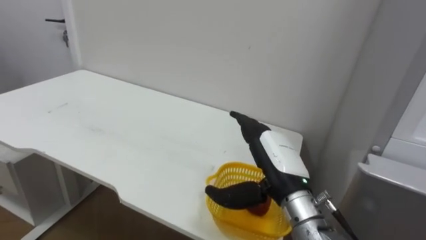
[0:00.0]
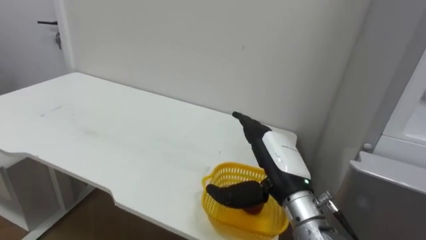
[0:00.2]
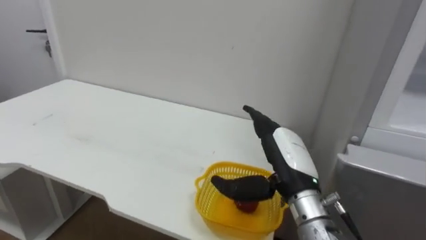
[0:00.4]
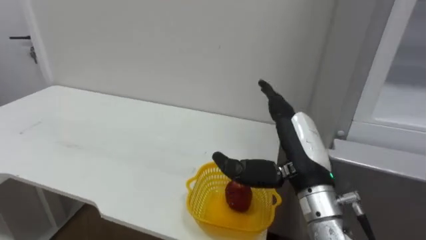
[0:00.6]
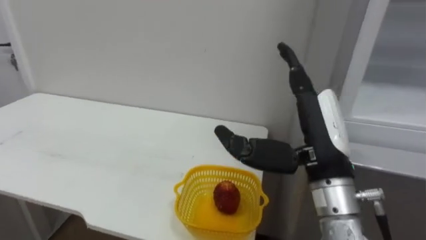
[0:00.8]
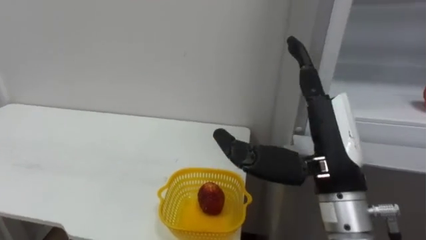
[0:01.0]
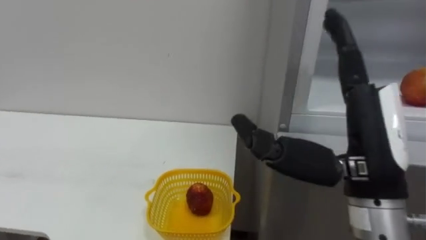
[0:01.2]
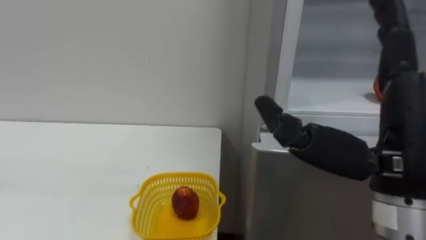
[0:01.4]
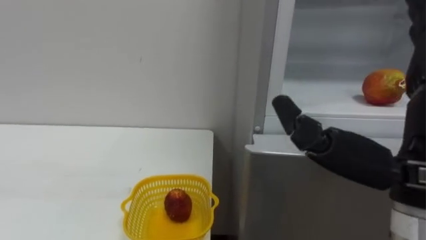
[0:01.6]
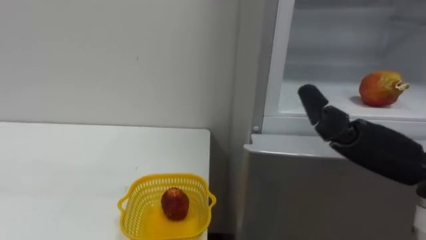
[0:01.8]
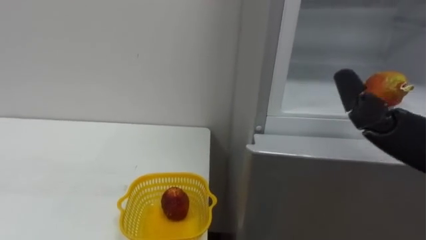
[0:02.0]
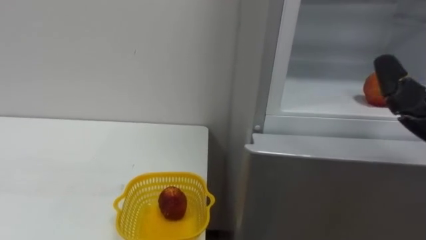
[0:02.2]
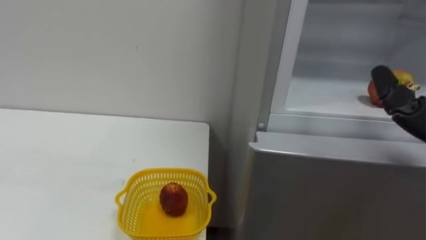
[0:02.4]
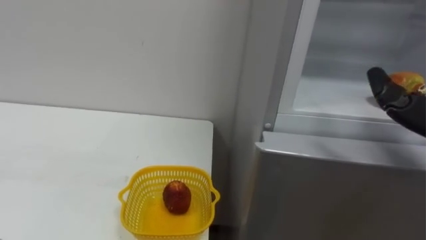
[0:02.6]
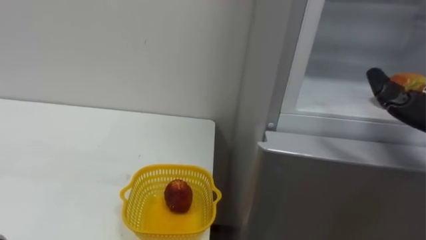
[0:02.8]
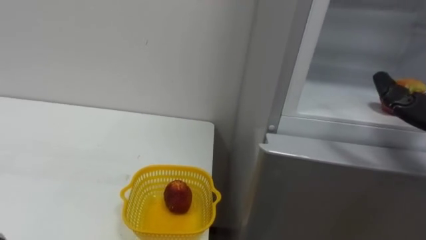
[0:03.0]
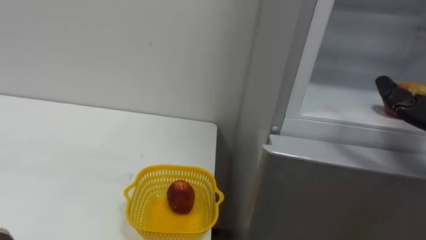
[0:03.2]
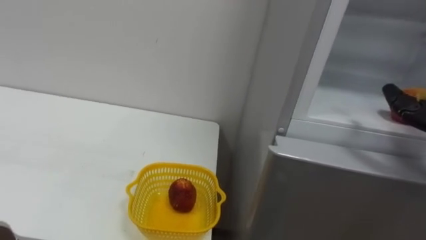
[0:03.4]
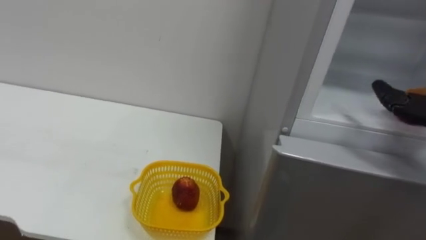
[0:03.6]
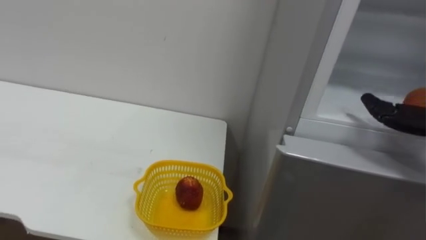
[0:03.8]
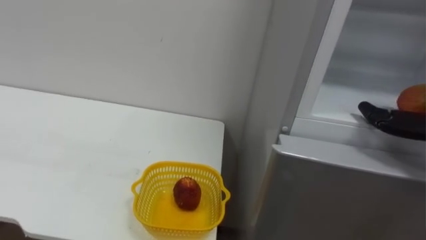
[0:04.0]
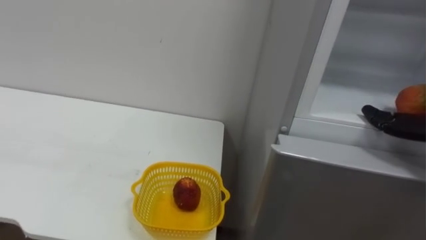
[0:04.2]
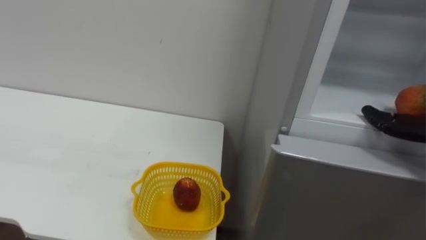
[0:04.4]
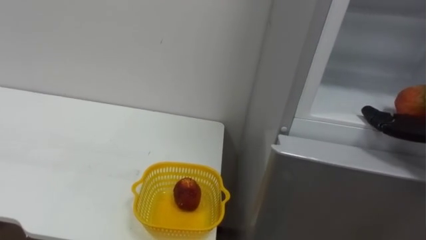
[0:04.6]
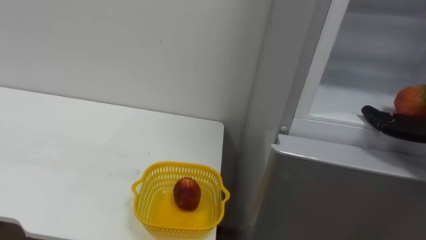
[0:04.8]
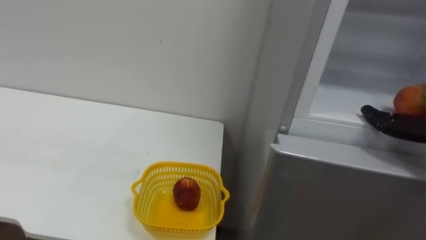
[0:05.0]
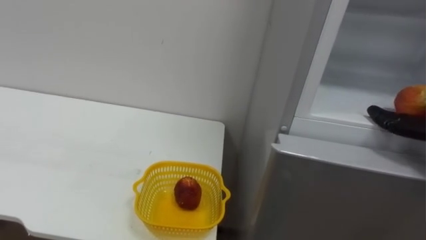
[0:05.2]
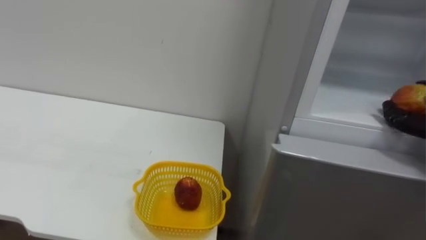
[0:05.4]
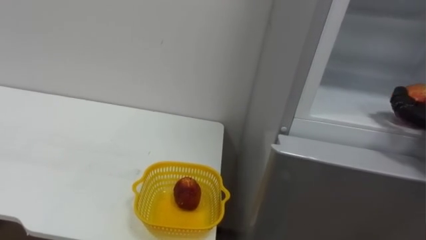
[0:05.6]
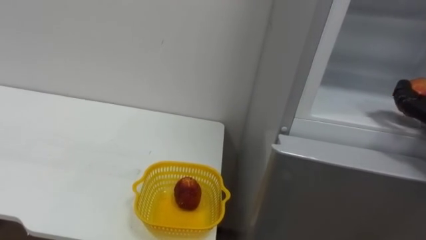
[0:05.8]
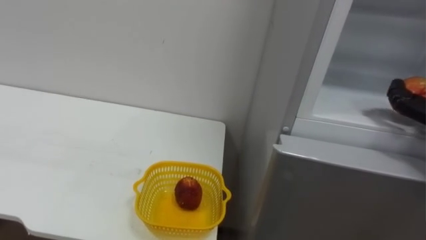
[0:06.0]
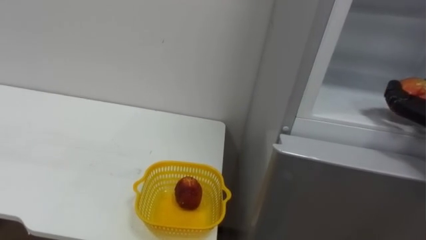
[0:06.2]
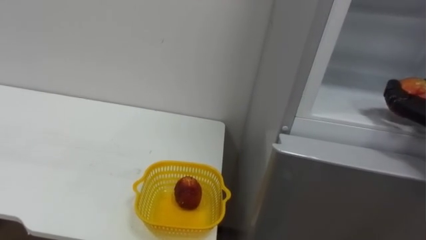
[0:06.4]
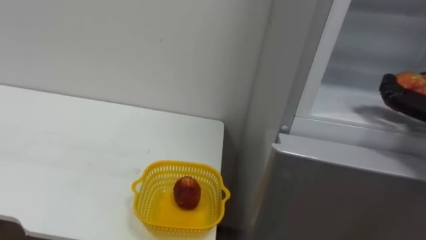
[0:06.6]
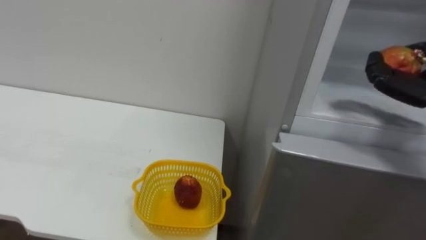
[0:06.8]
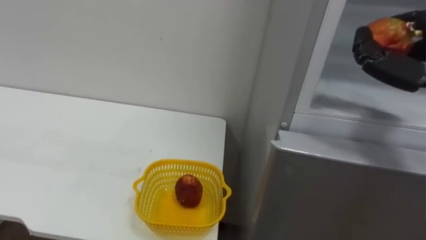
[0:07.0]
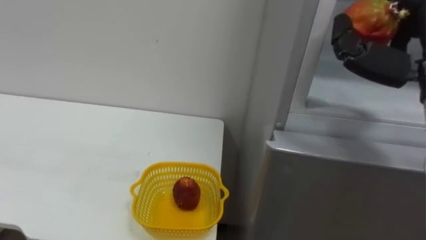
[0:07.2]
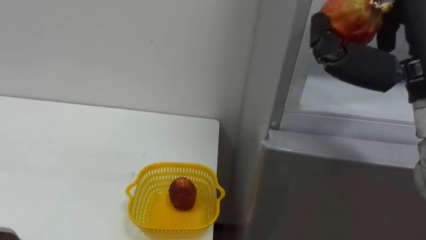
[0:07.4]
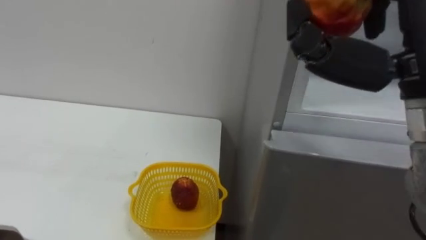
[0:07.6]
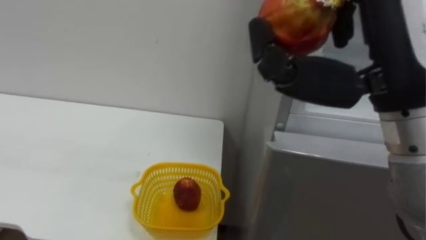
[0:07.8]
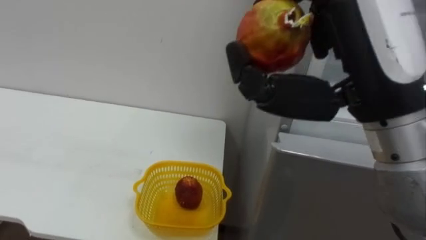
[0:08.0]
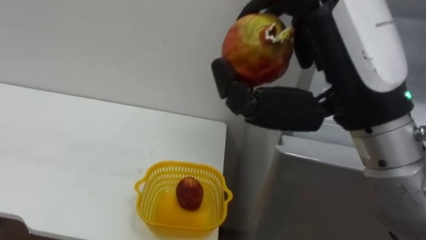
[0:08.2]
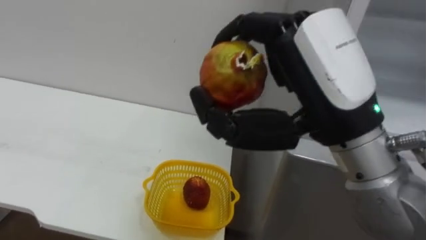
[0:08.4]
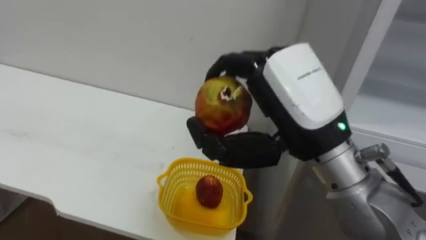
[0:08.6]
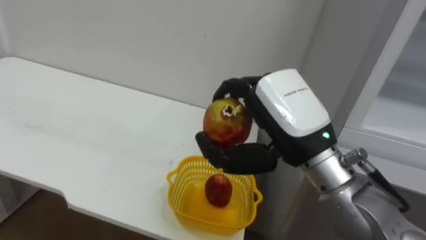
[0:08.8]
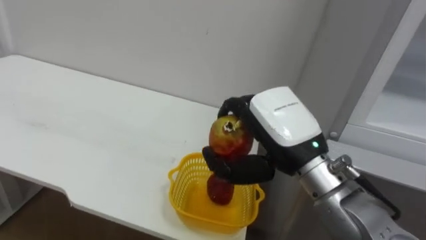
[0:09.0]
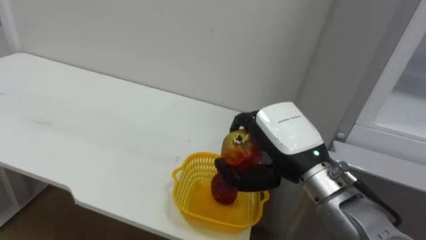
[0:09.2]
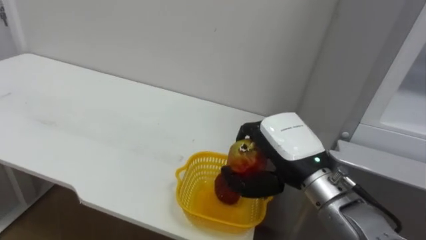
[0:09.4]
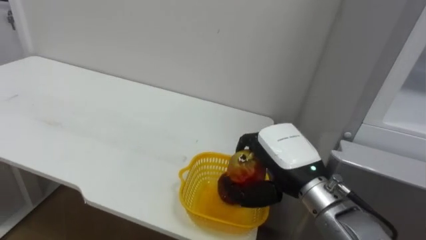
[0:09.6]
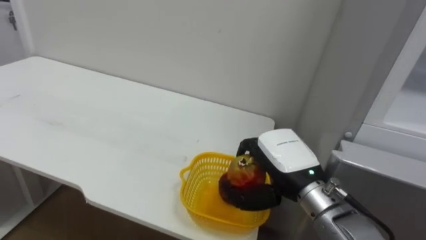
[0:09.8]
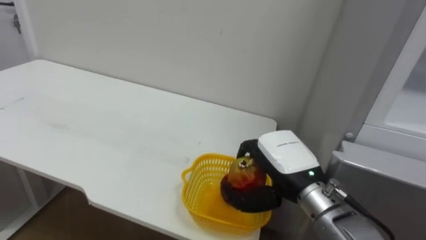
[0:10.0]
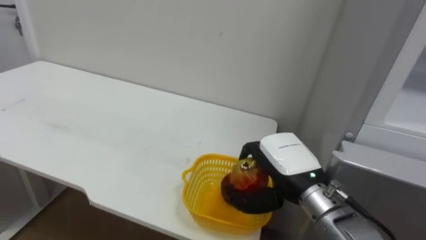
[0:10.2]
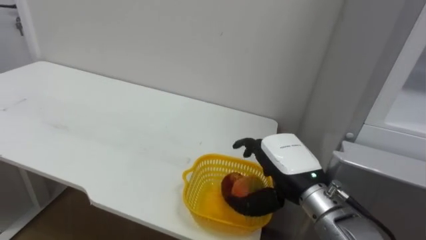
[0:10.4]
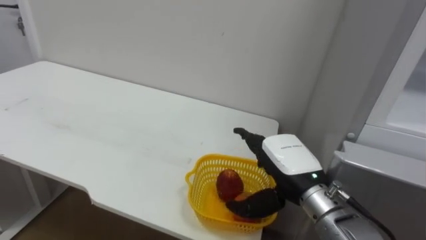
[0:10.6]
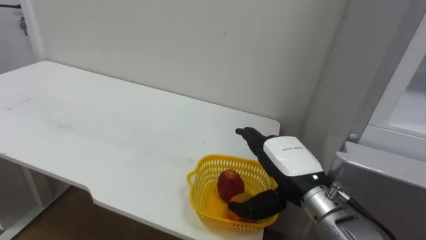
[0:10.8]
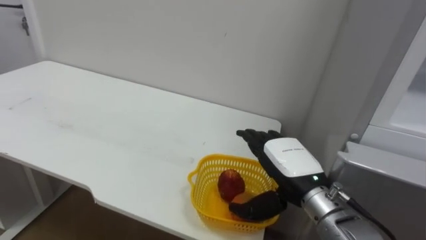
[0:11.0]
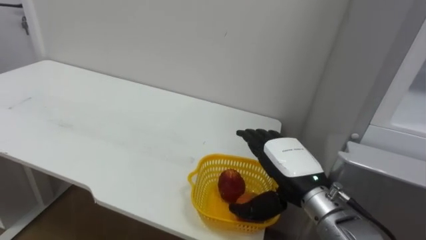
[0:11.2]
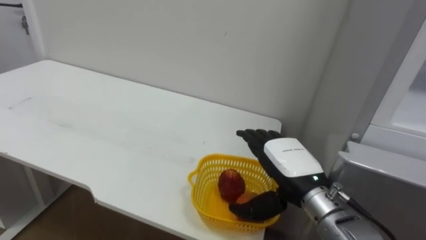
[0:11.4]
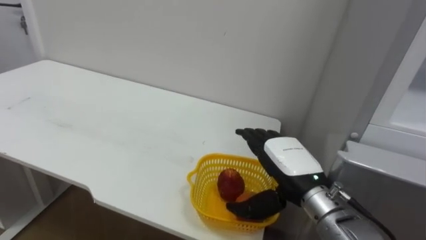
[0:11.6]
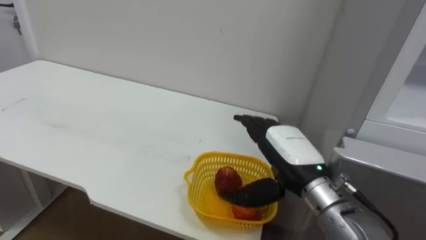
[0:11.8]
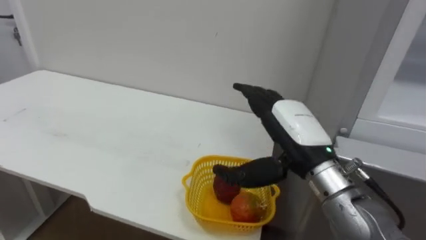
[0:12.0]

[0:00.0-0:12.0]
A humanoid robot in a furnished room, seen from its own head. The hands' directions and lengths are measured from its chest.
Task of the whole recording: Open the refrigerator door, take out the apple and the pomegranate, place them in the fruit basket on the left, and close the refrigerator door.
0:00.0 to 0:01.6: The right hand travels upward, backward and to the right by approximately 20 cm.
0:07.6 to 0:09.0: The right hand is displaced downward, to the left and forward by about 20 cm.
0:09.0 to 0:10.4: The right hand heads downward, covering approximately 10 cm.
0:10.4 to 0:12.0: The right hand moves upward, approximately 5 cm, and opens up.

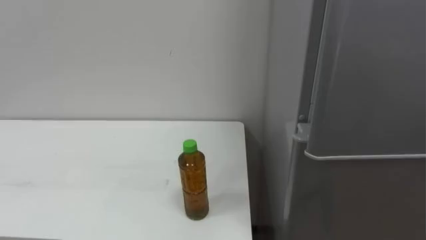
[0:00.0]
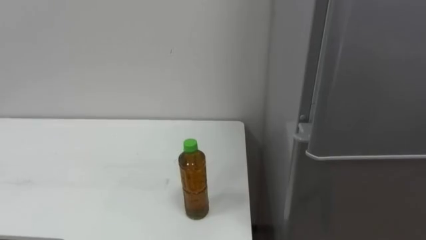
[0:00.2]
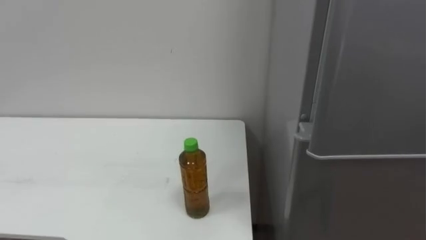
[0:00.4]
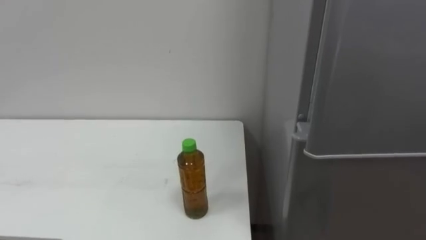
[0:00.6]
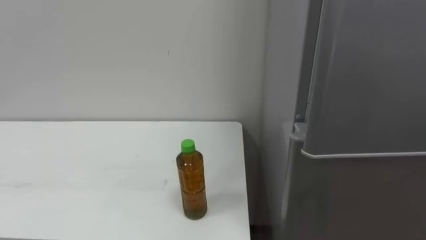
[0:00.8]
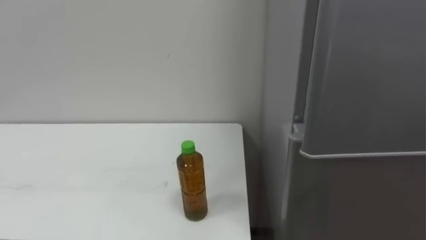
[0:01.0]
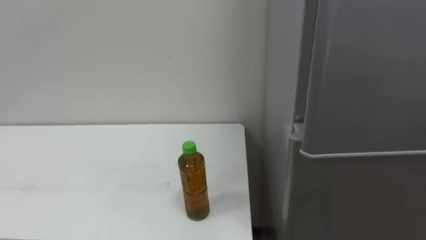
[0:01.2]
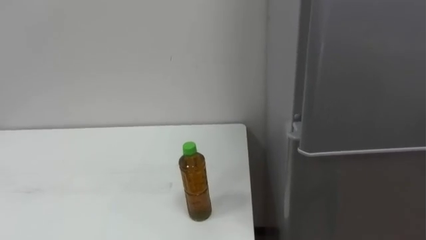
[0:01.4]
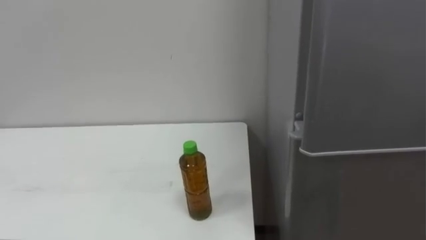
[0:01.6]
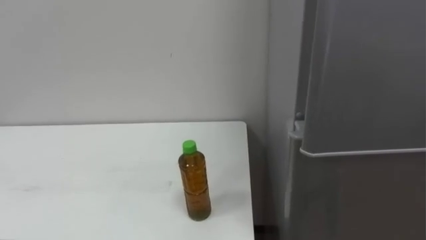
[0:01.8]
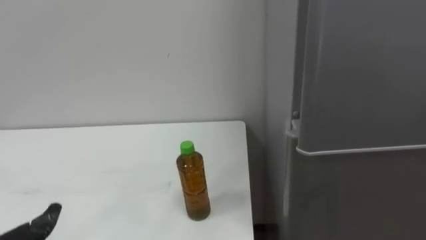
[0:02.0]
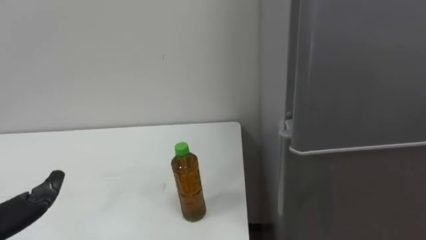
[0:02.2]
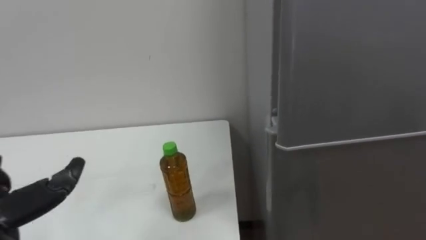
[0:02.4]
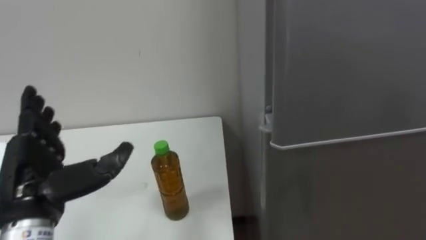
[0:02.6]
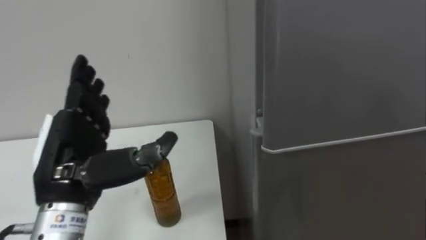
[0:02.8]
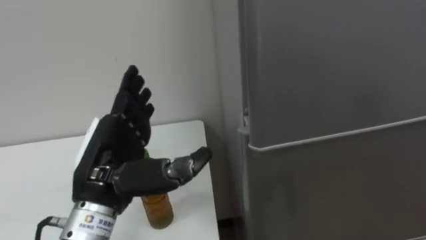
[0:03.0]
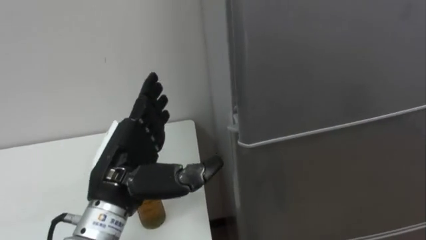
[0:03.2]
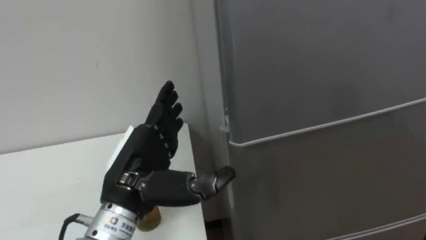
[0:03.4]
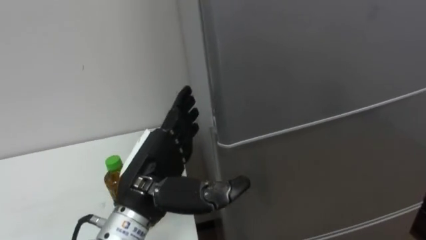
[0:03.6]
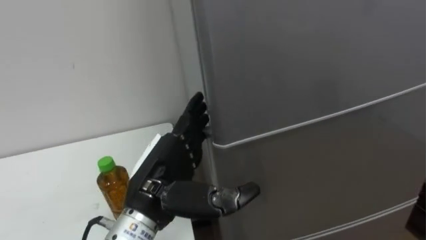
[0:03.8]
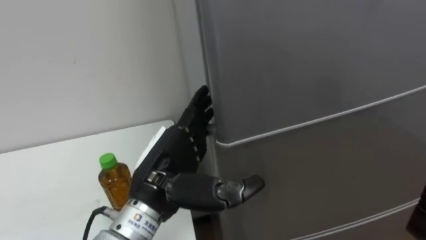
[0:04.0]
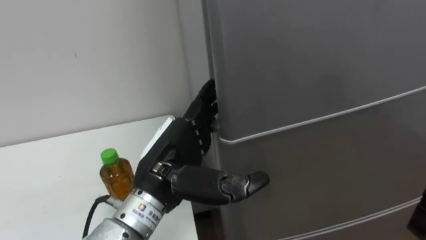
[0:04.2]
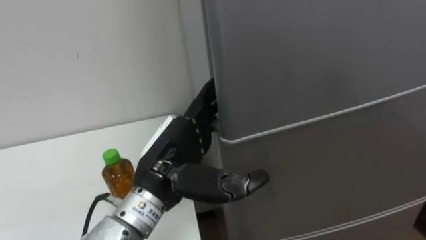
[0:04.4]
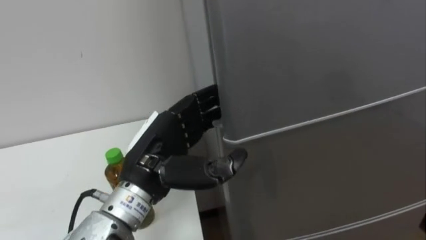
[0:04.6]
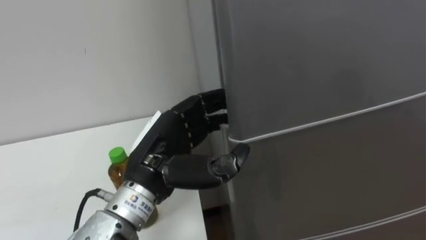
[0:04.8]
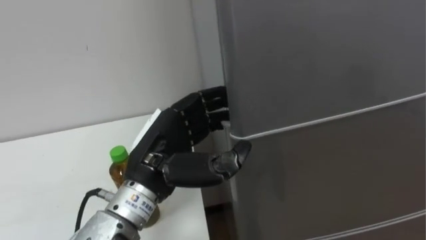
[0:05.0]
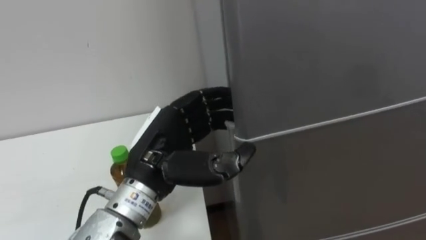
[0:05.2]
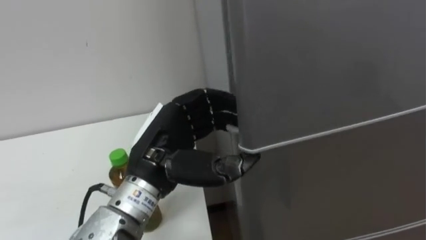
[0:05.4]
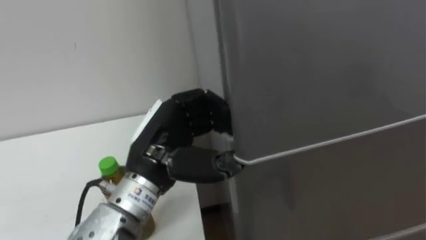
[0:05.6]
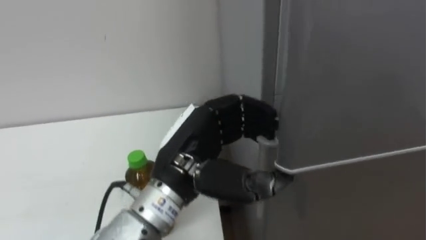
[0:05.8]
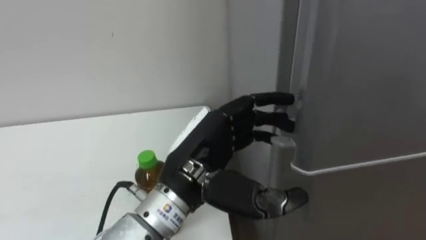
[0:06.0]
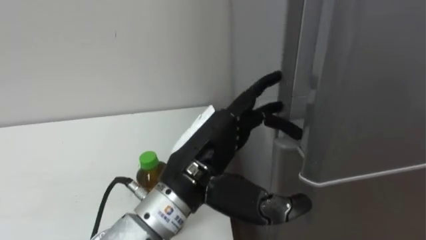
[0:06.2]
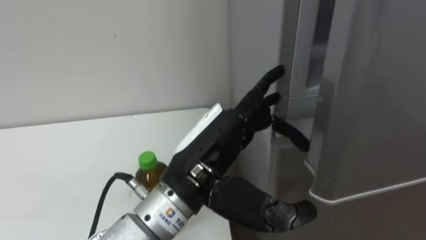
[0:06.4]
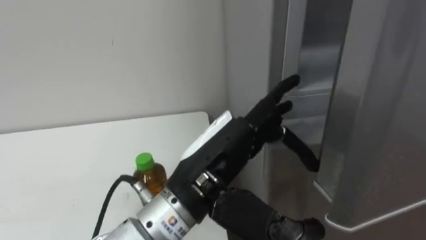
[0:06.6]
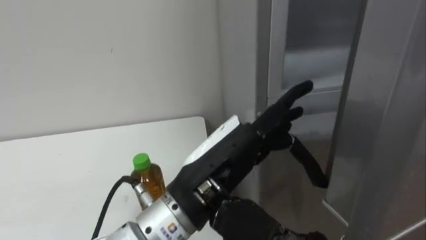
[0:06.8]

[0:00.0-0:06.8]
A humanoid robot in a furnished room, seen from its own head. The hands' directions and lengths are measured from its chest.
Task of the whole recording: Open the upper refrigerator door, put the drink from the table into the refrigerator, and then close the refrigerator door.
0:02.8 to 0:04.0: The left hand shifts roughly 10 cm to the right.
0:04.0 to 0:05.4: The left hand closes.
0:05.4 to 0:06.8: The left hand travels to the right and backward by some 10 cm, and opens its fingers.
